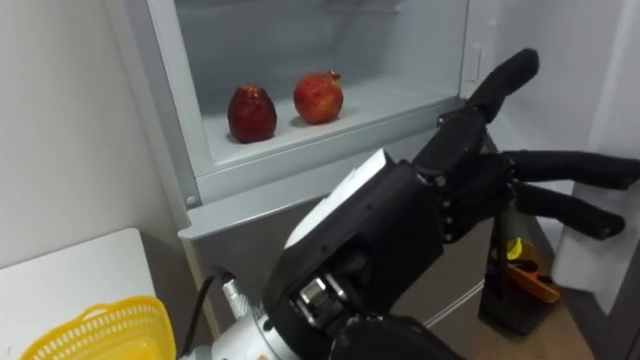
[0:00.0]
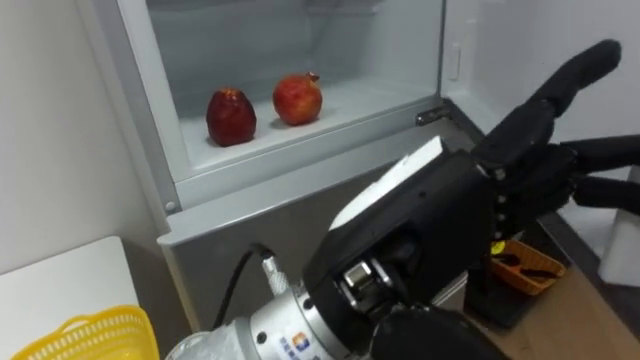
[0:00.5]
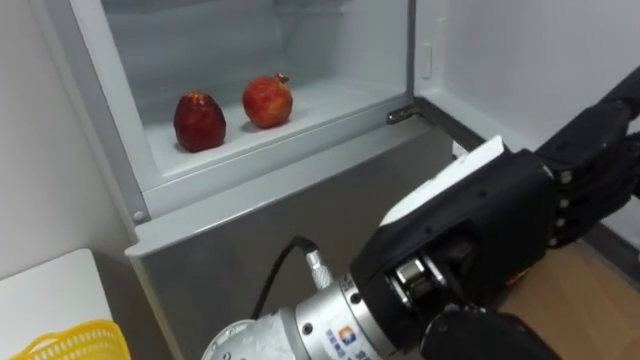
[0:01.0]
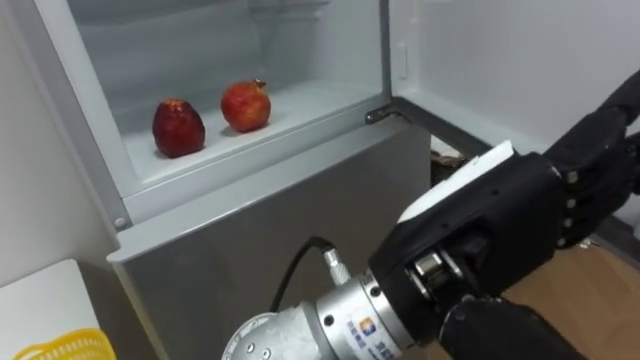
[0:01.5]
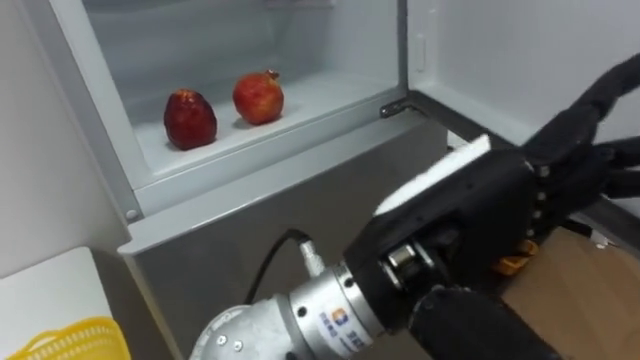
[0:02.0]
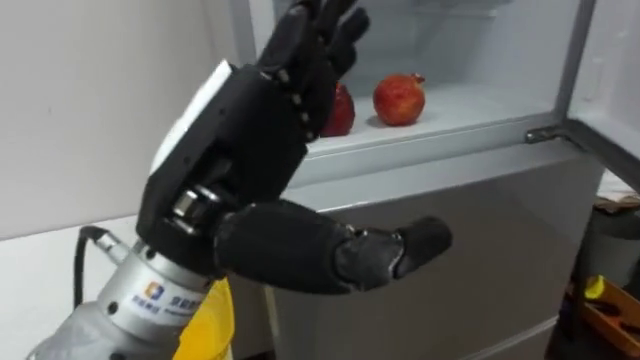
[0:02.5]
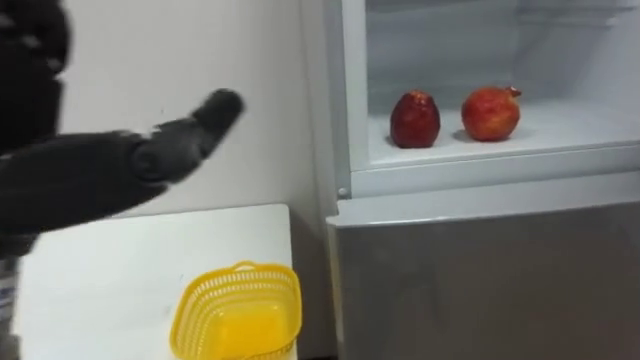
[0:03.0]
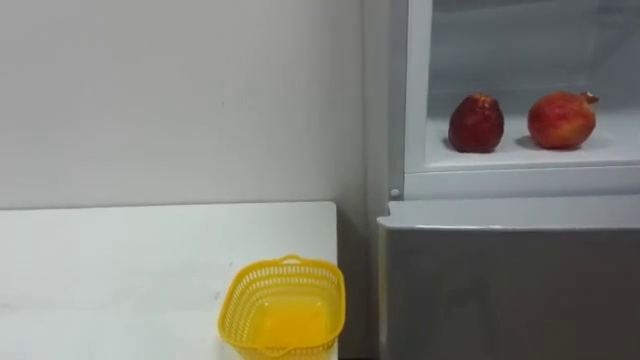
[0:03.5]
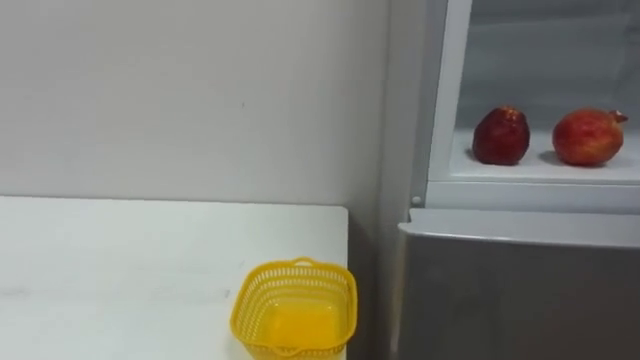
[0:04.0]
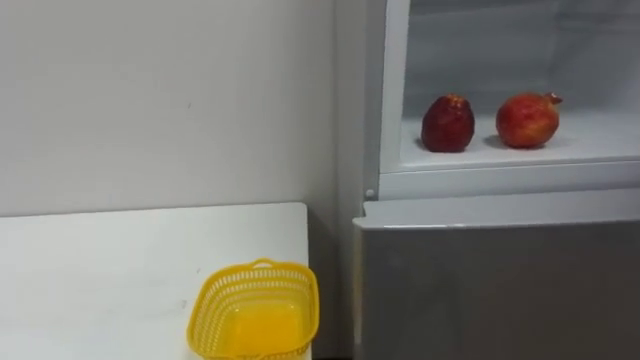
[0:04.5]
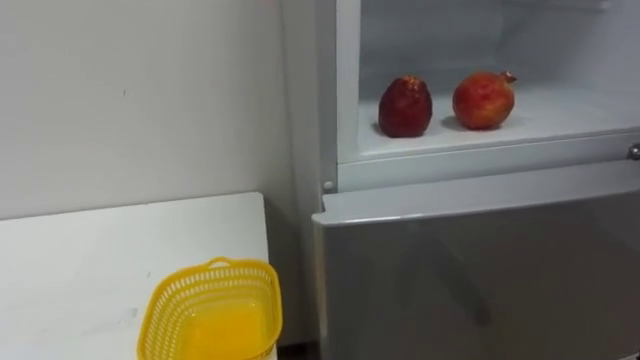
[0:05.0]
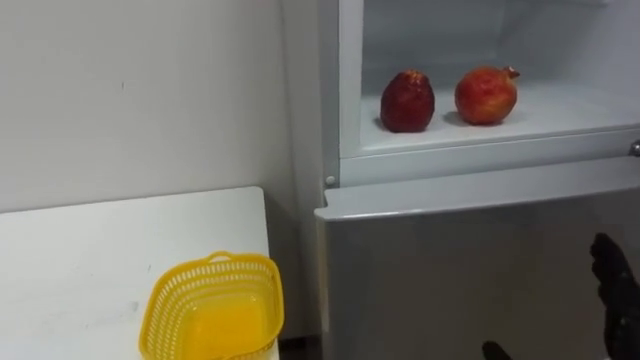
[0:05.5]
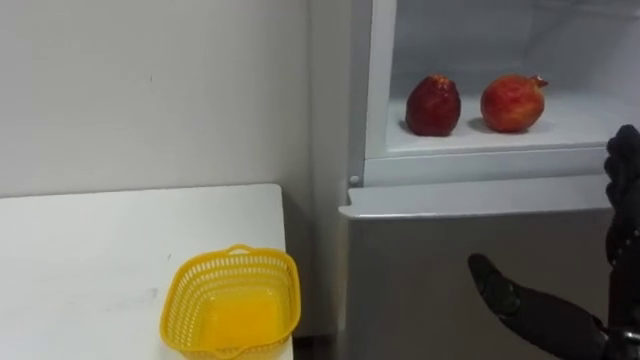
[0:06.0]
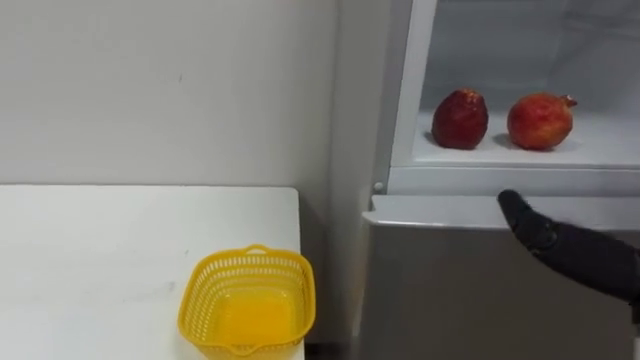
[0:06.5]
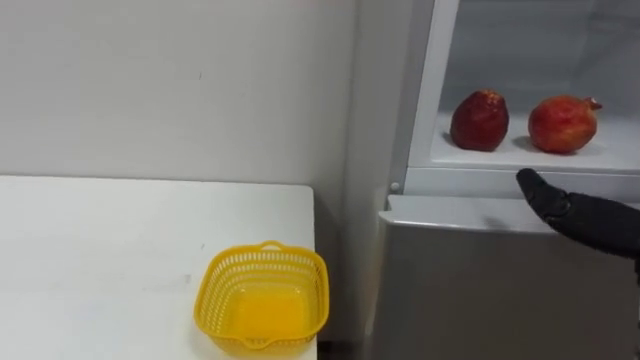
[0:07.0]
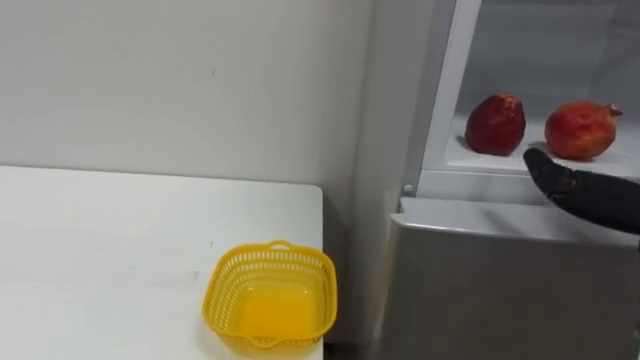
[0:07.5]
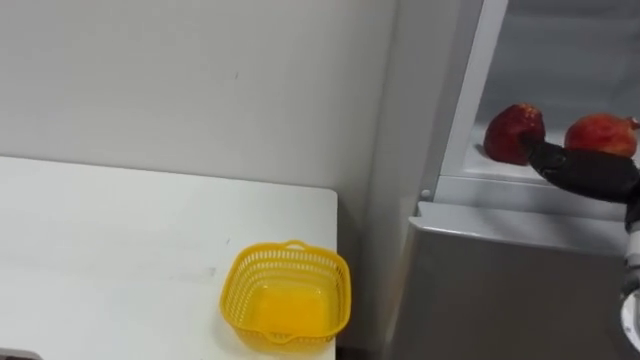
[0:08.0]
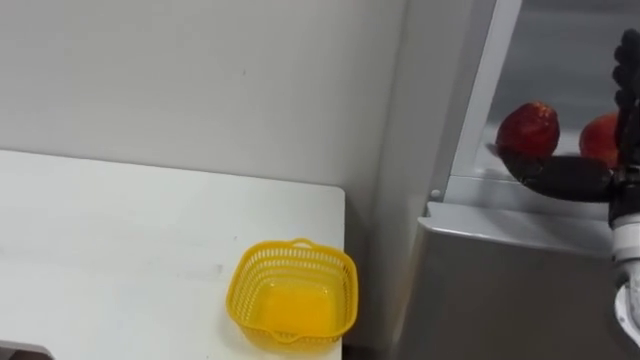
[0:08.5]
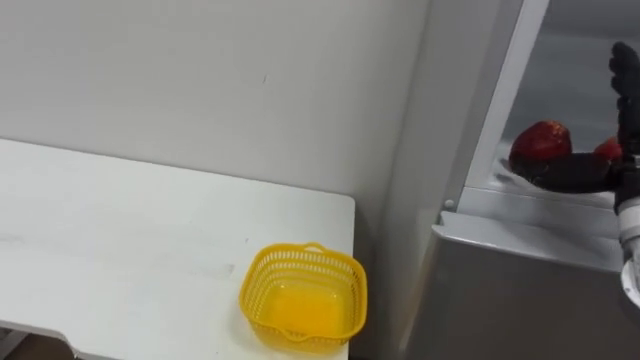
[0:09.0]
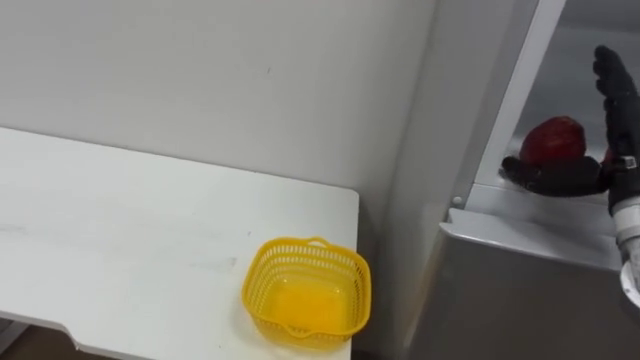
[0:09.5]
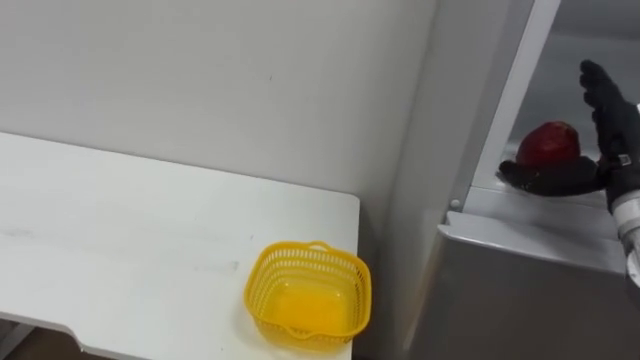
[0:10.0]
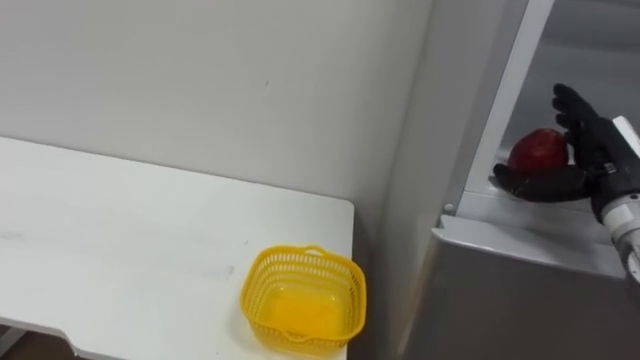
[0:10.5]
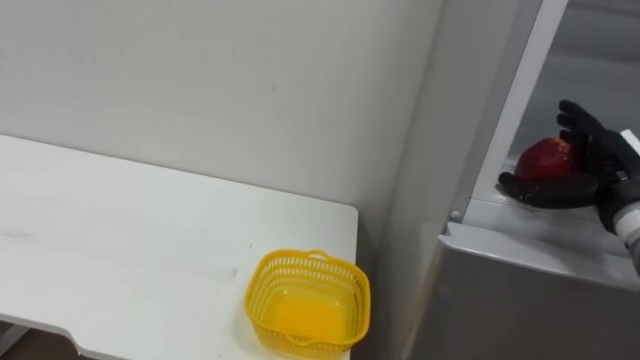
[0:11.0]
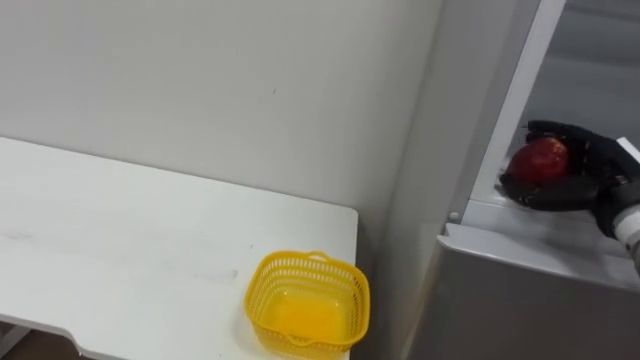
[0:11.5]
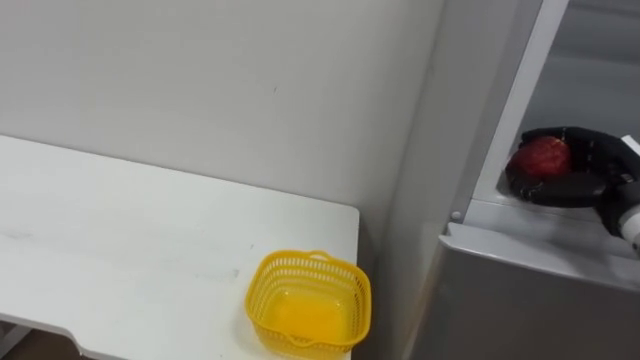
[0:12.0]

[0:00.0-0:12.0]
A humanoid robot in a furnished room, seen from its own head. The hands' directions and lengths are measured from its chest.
Task of the whole recording: Open the refrigerator door, take out the apple and the pomegranate, place them in the fruit basket on the left, and close the refrigerator door.
0:00.0 to 0:02.0: The left hand goes approximately 5 cm to the right.
0:10.0 to 0:12.0: The right hand moves roughly 5 cm, and closes its fingers.

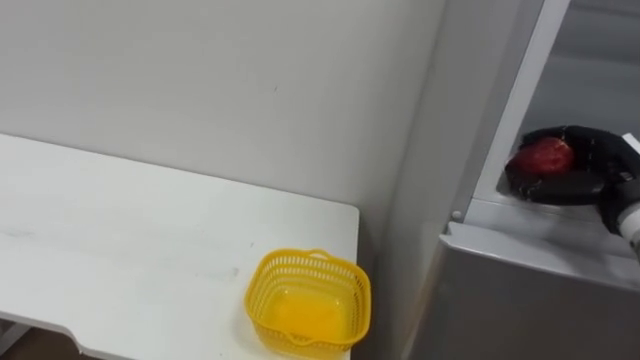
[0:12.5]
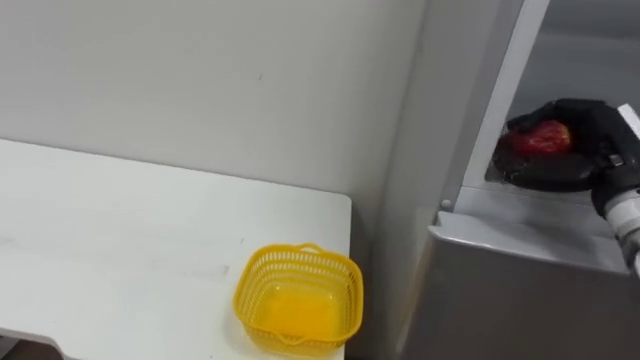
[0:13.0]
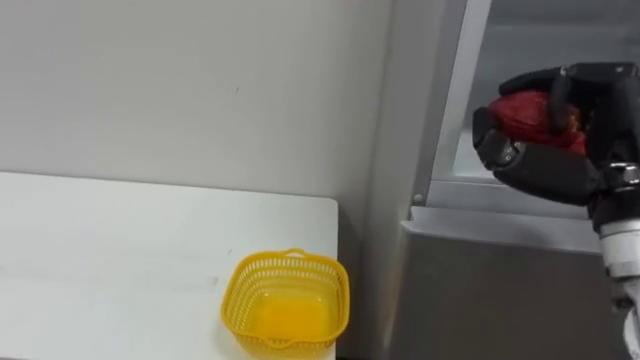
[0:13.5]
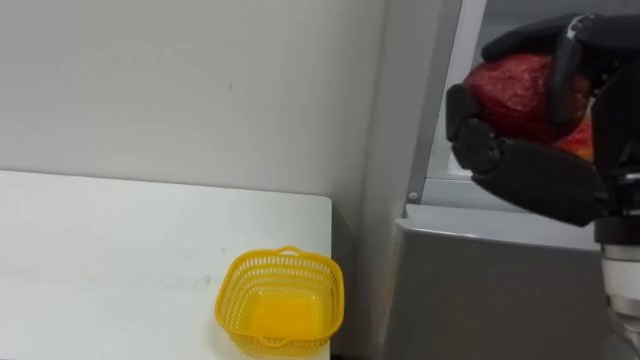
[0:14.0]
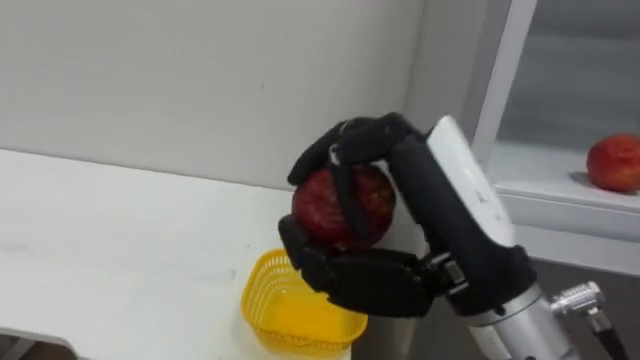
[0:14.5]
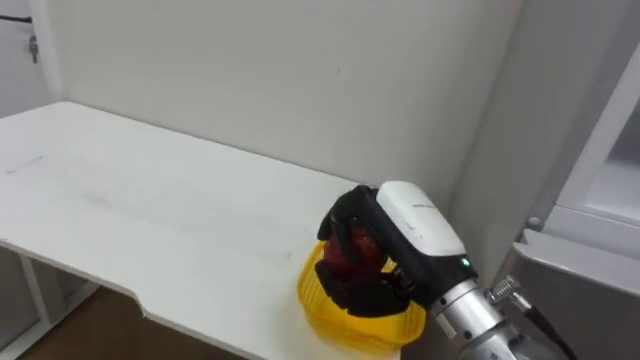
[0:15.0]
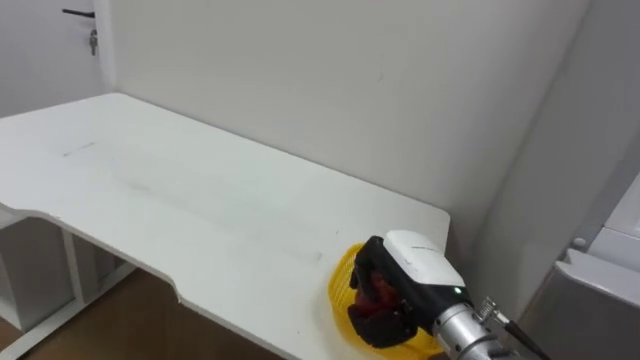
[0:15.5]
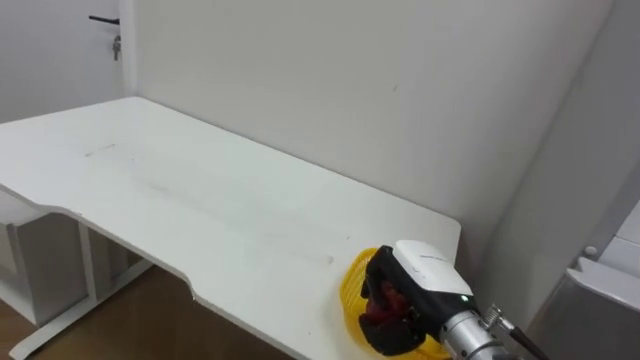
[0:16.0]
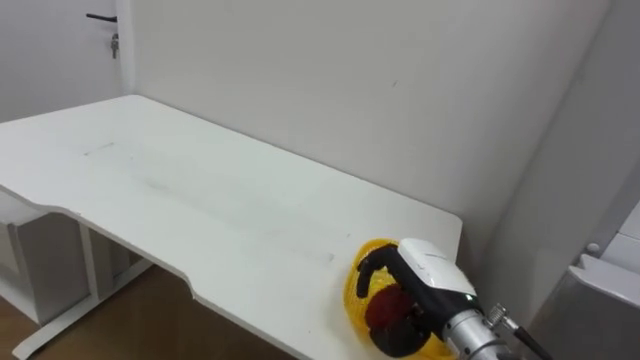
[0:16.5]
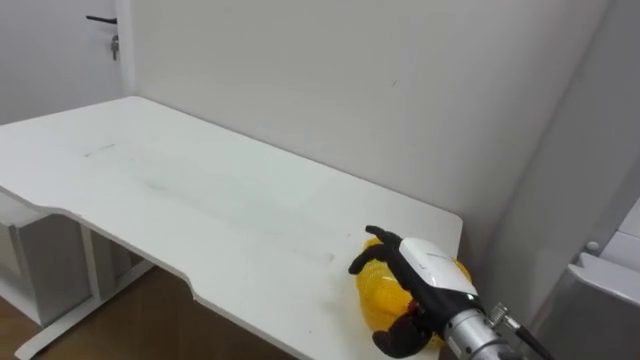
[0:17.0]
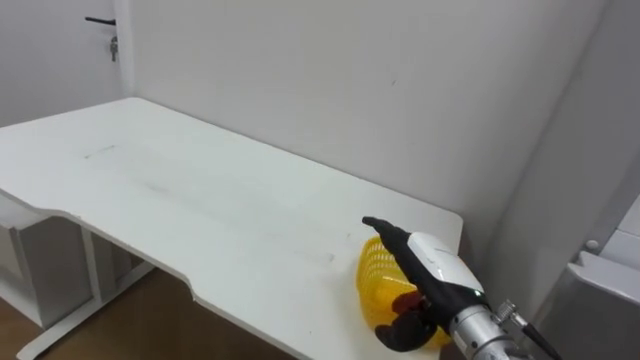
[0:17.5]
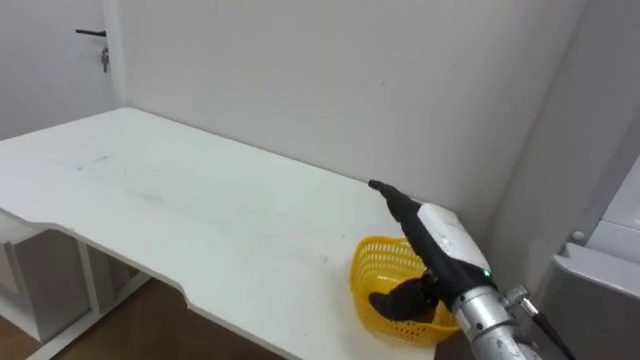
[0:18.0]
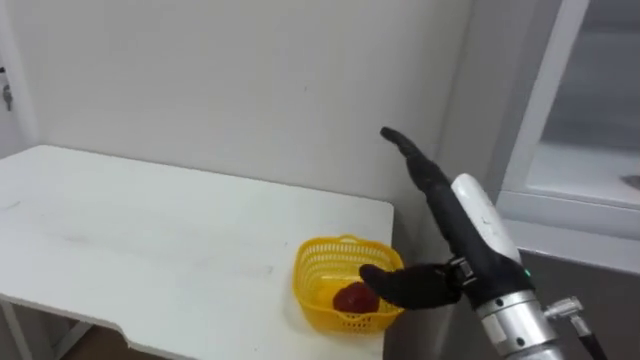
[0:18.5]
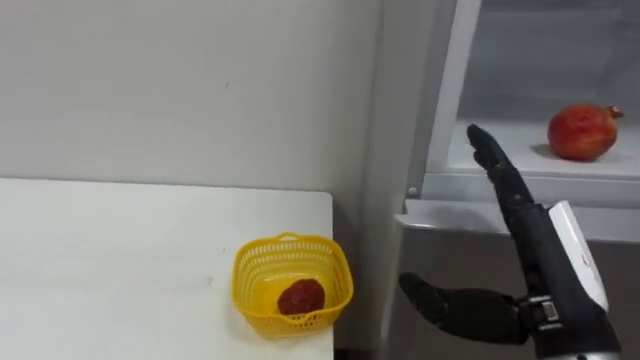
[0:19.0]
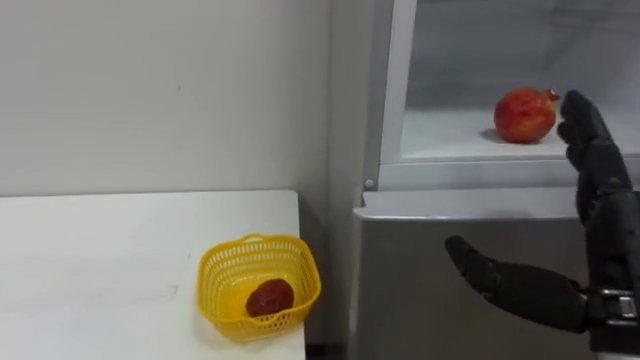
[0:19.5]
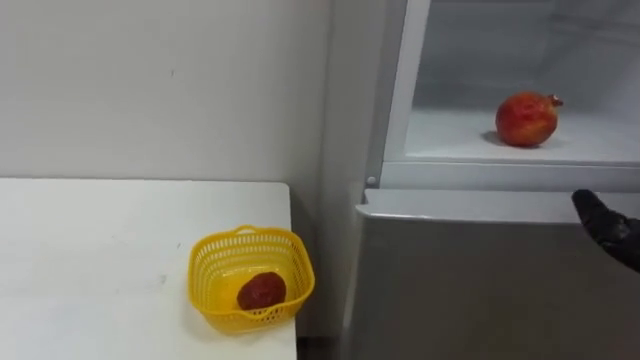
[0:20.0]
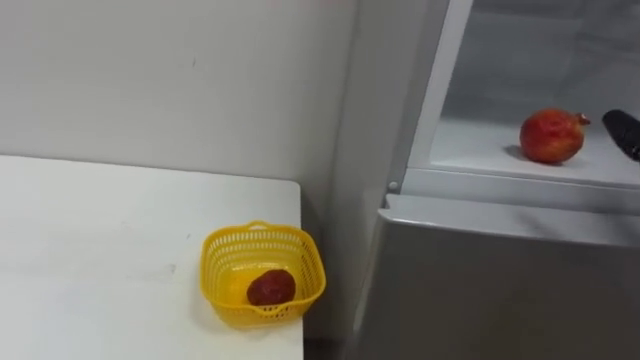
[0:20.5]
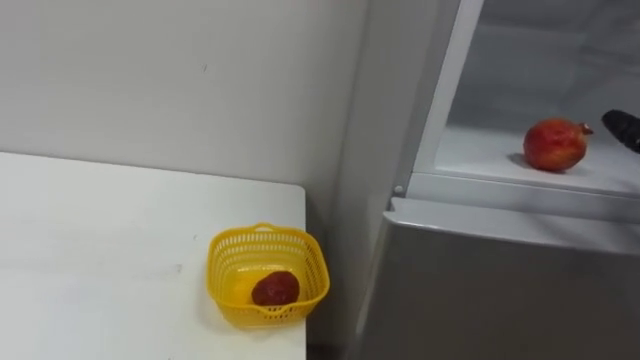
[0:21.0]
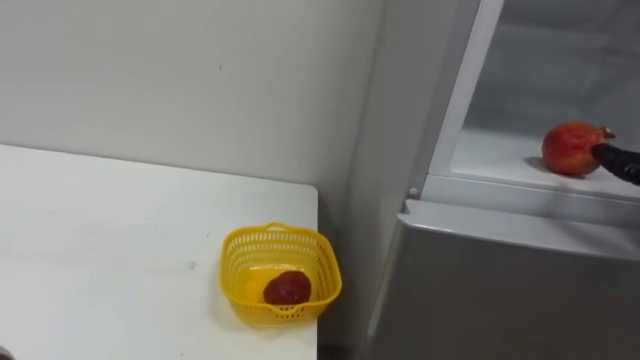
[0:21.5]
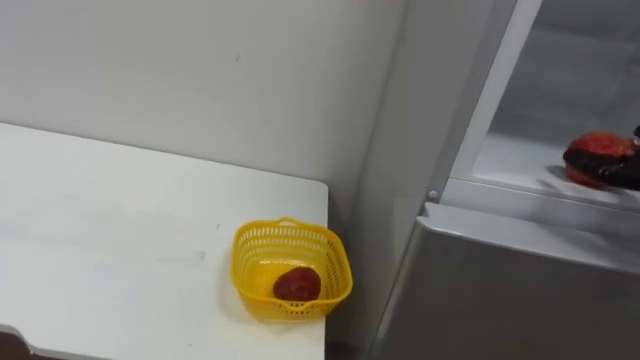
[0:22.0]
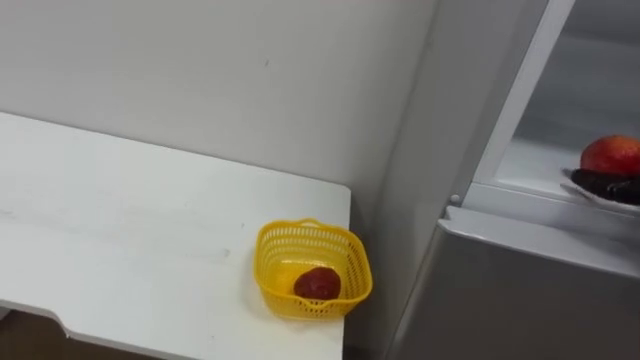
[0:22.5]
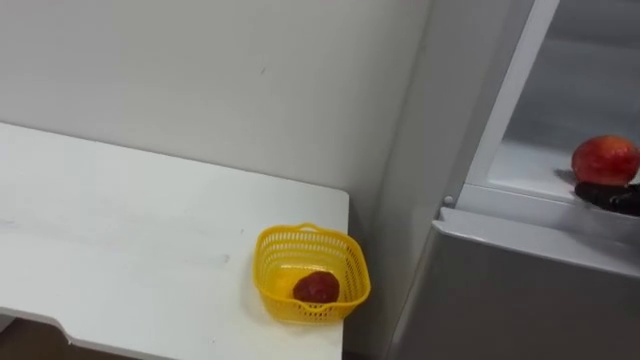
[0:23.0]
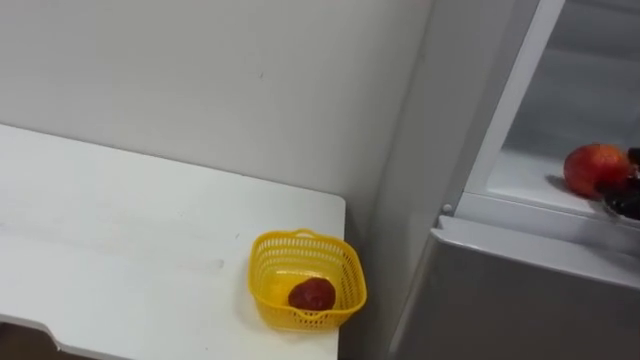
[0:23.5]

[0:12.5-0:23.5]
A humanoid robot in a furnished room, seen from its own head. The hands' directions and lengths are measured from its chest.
Task of the whole recording: Open the refrigerator door, take out the apple and the pomegranate, place them in the fruit basket on the left, and close the refrigerator door.
0:12.5 to 0:14.5: The right hand shifts roughly 30 cm to the left, backward and upward.
0:14.5 to 0:16.0: The right hand goes roughly 25 cm downward and forward.
0:16.0 to 0:18.0: The right hand opens its fingers.
